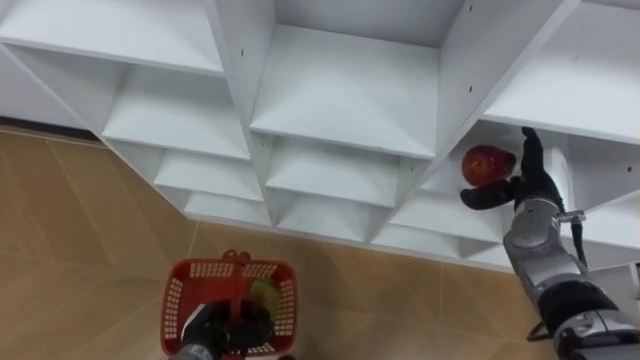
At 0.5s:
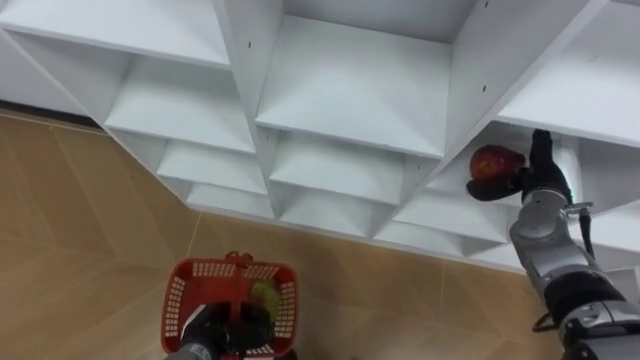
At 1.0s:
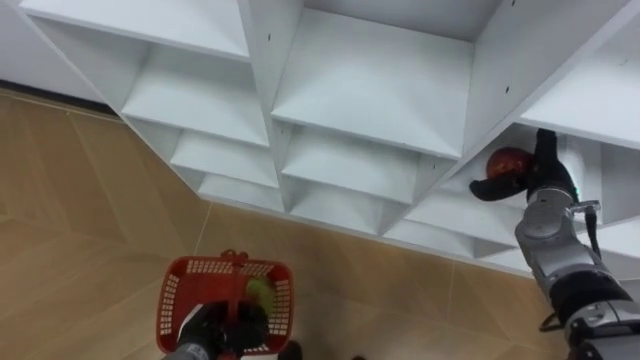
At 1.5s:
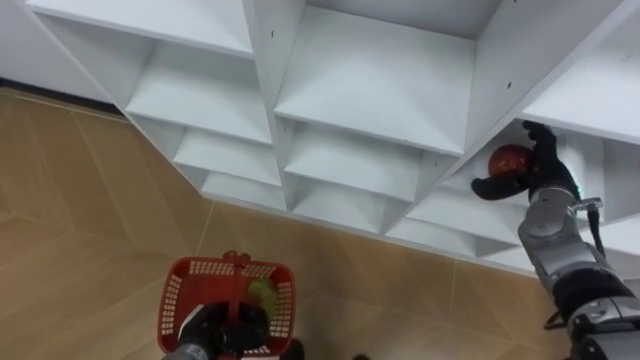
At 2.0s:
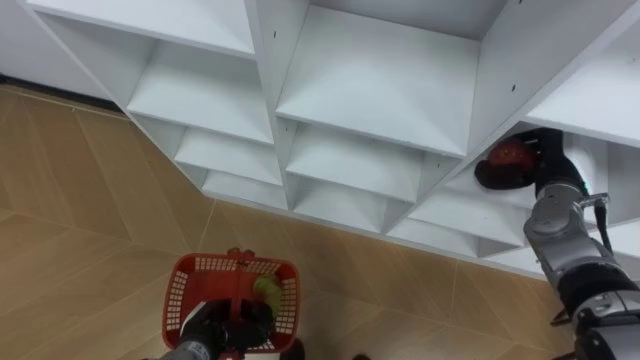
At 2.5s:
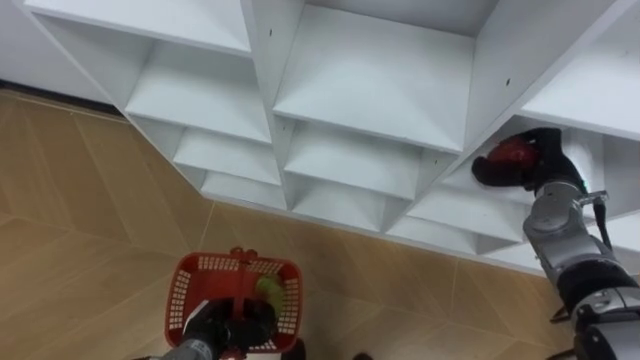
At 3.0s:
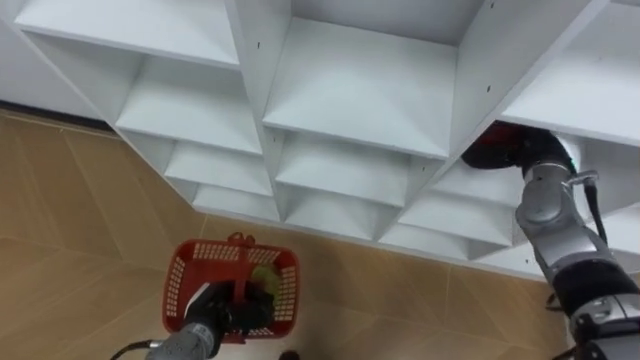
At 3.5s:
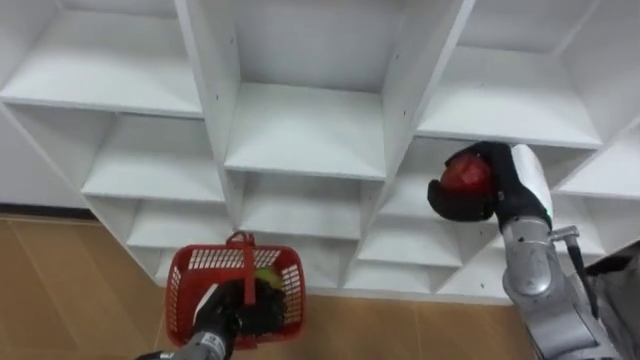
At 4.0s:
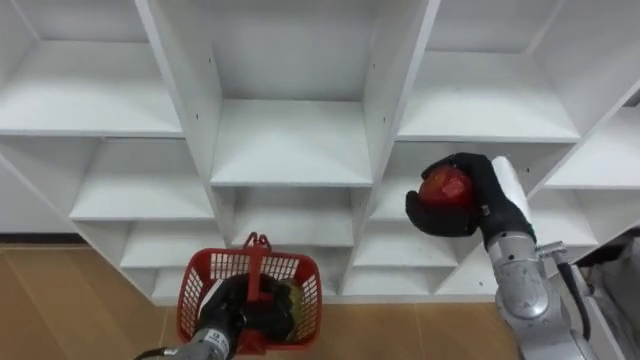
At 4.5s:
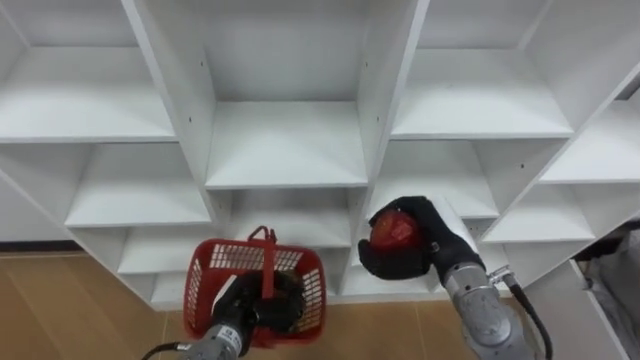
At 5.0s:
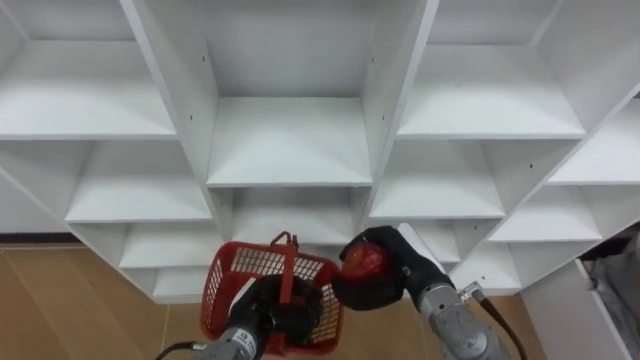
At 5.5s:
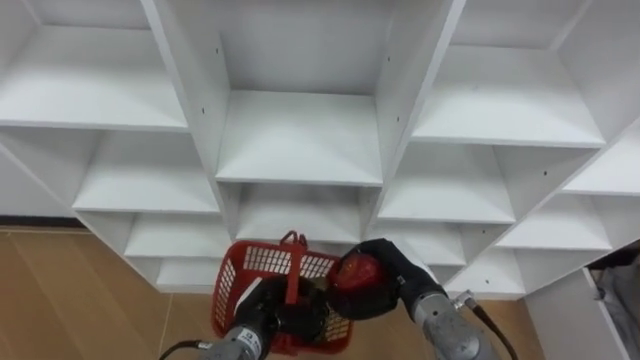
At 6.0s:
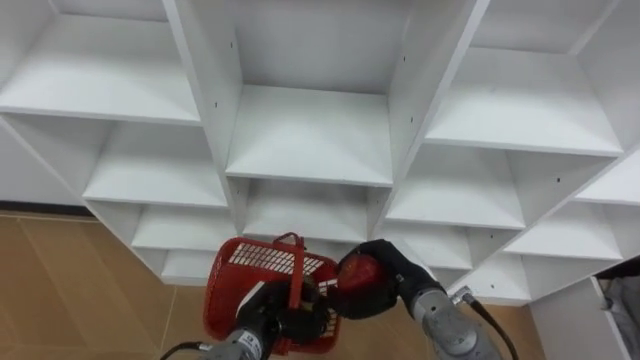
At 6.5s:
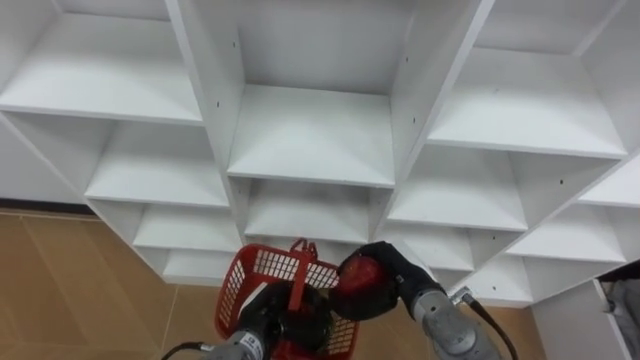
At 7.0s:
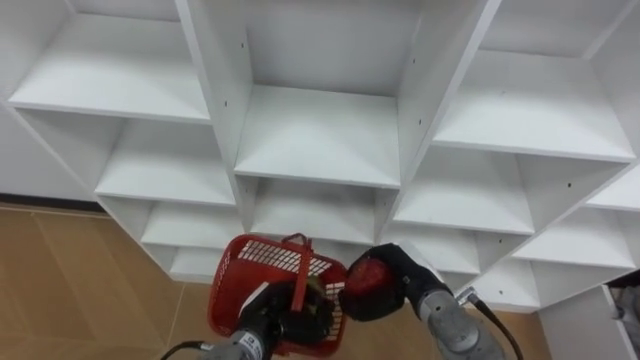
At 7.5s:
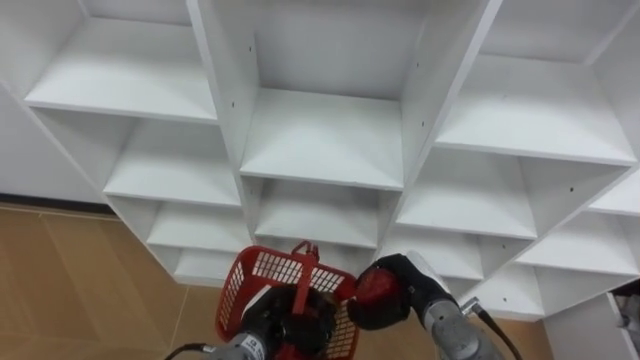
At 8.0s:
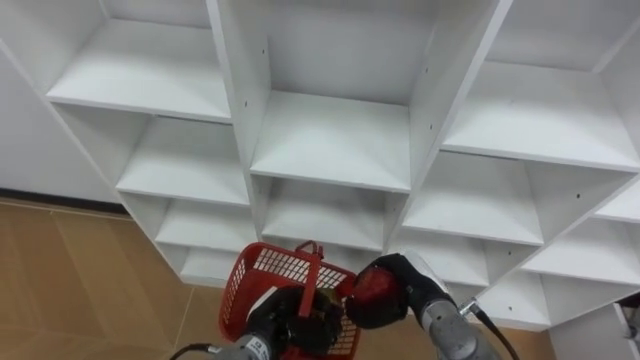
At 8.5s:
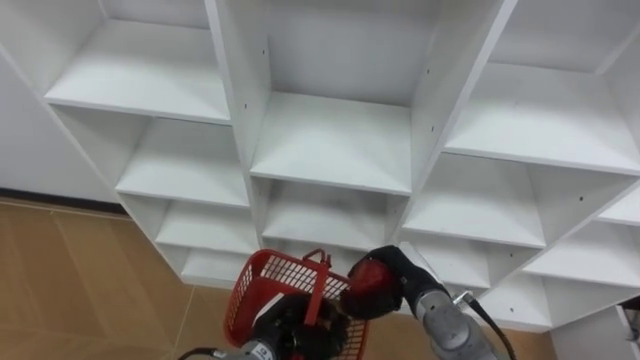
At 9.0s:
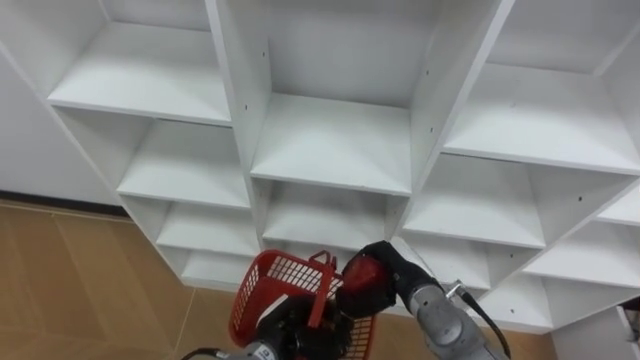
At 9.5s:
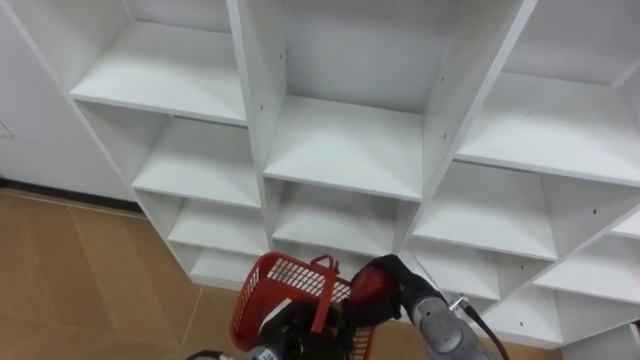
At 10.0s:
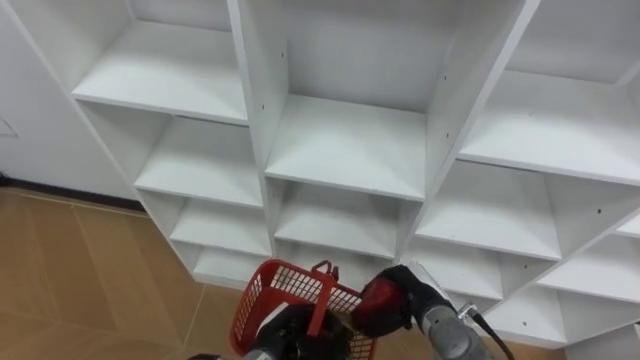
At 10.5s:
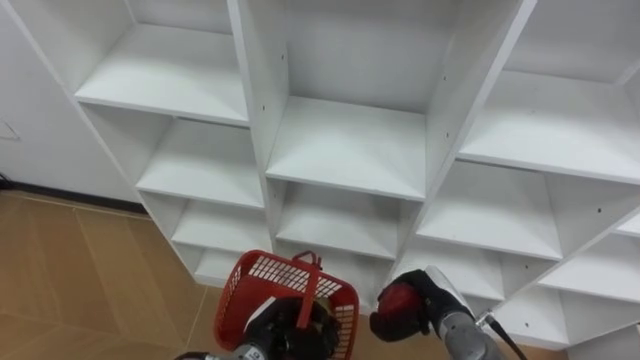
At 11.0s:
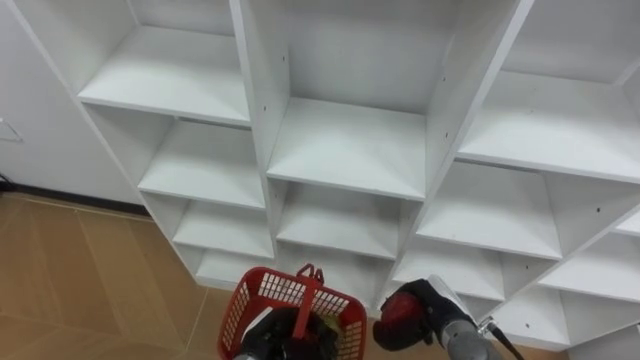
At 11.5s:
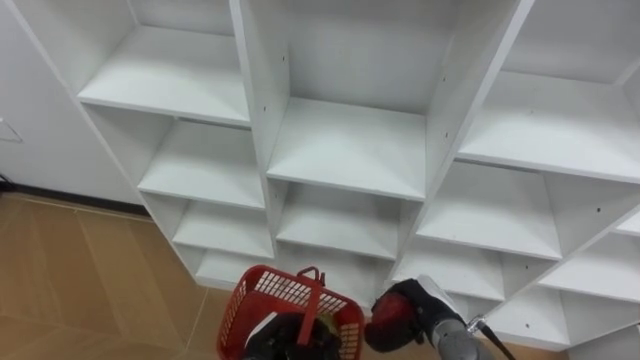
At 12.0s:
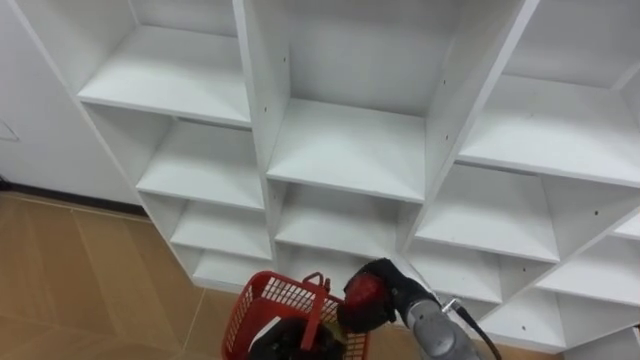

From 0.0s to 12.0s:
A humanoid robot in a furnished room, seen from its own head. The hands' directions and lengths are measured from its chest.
Task of the whole recording: Hold the basket and collect the fruits from 3 different cells of the closet into it.
From 0.0s to 2.0s: The right hand closes.
From 2.0s to 4.0s: The left hand moves some 5 cm; the right hand heads to the left and backward, covering some 10 cm.
From 4.0s to 6.0s: The right hand is displaced to the left, downward and backward by approximately 15 cm, while the left hand travels to the right by some 5 cm.
From 10.0s to 12.0s: The hands move only a little.

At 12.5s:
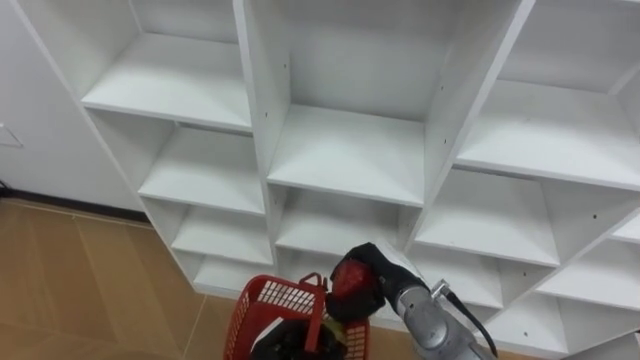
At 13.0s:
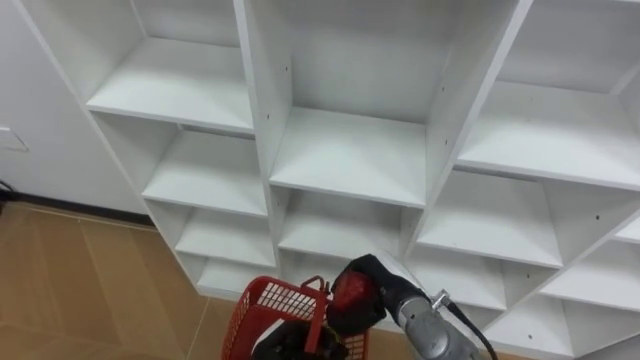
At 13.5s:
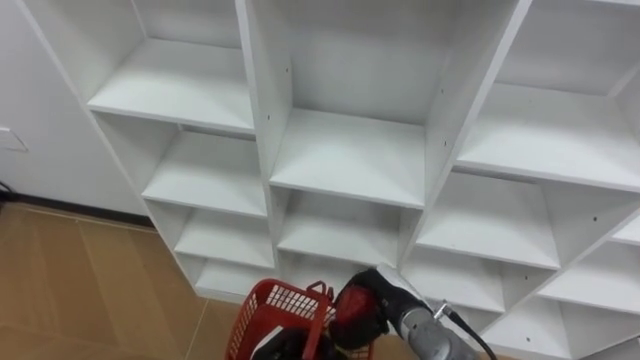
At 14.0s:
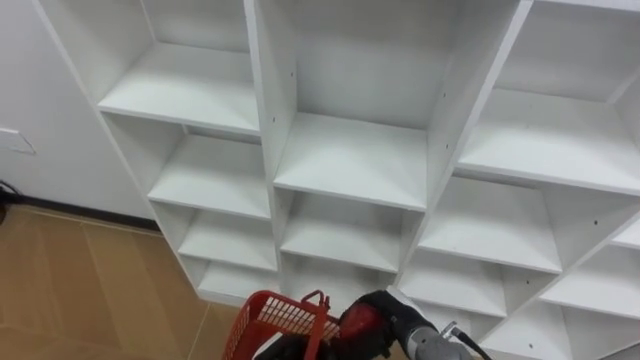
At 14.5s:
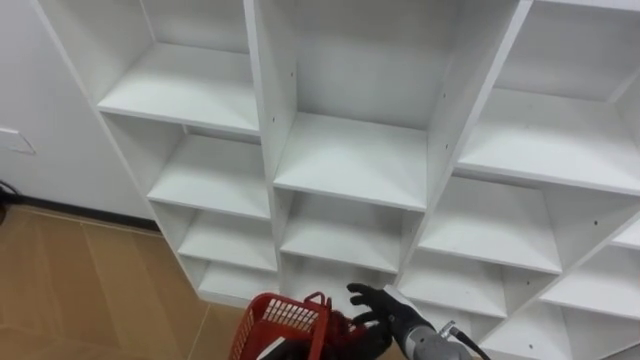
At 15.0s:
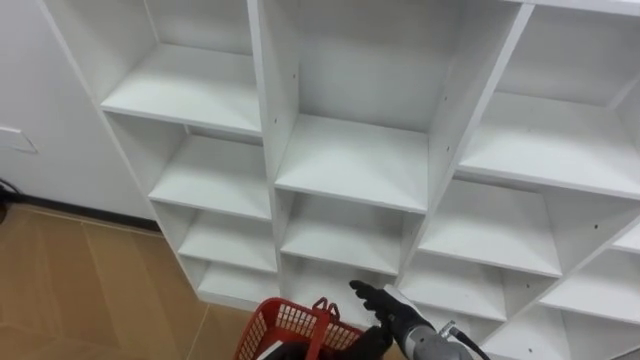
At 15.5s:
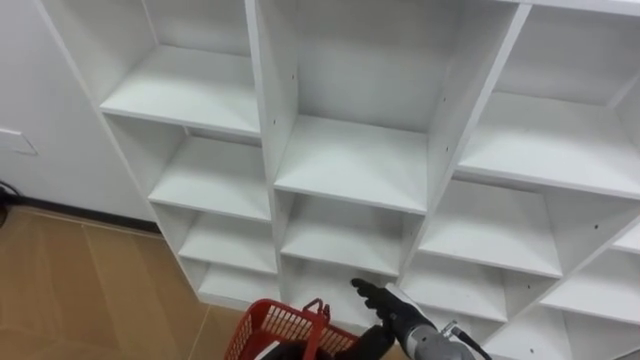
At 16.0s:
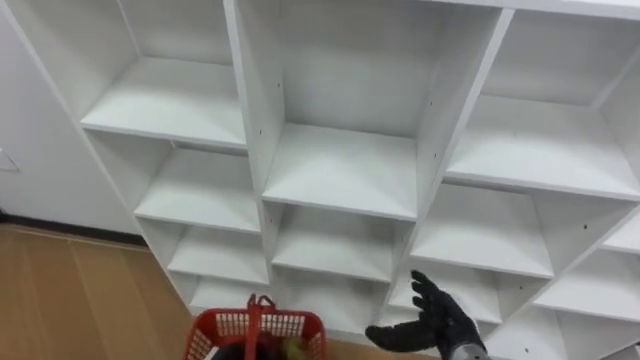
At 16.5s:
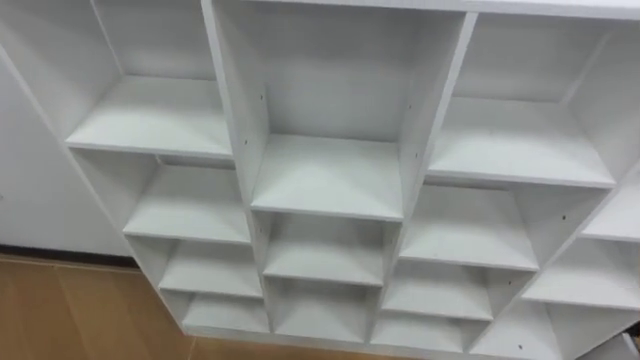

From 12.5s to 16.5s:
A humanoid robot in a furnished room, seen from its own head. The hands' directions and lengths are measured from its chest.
Task of the whole recording: Hold the basket and collect the fruits from 3 different cells of the closet into it.
From 12.5s to 14.5s: The right hand ends up approximately 5 cm from where it was, and opens its fingers.

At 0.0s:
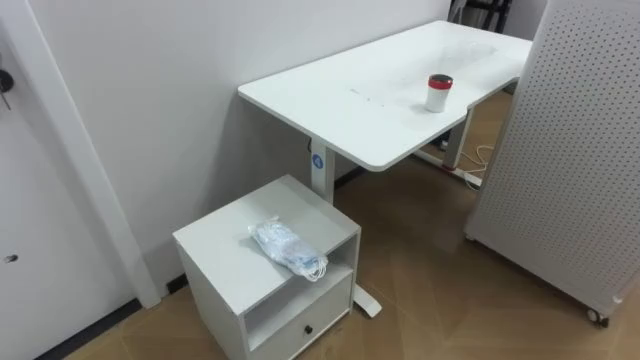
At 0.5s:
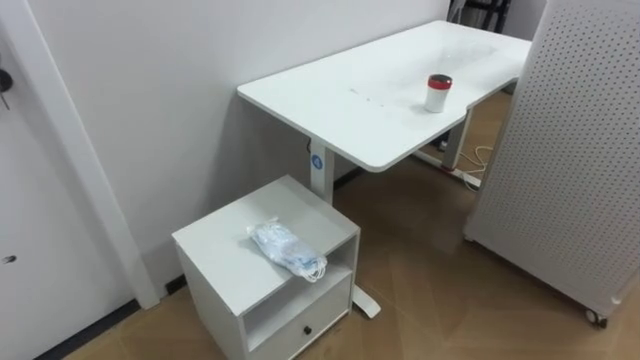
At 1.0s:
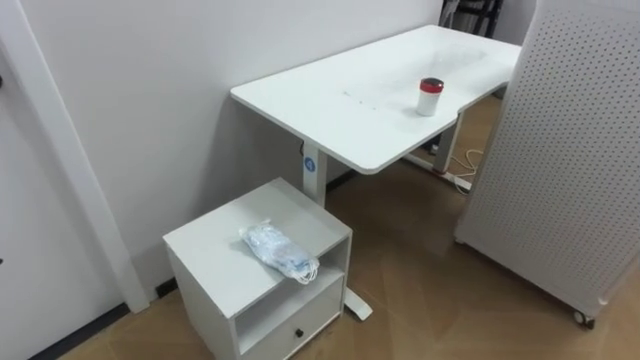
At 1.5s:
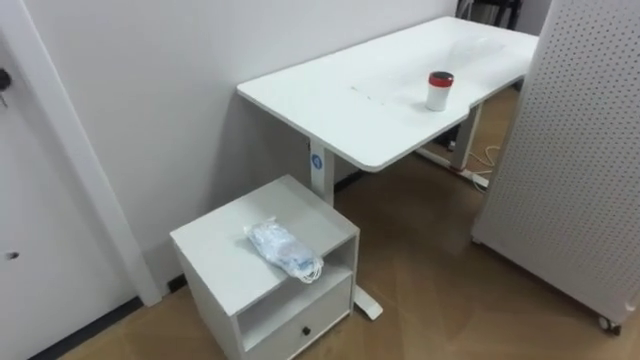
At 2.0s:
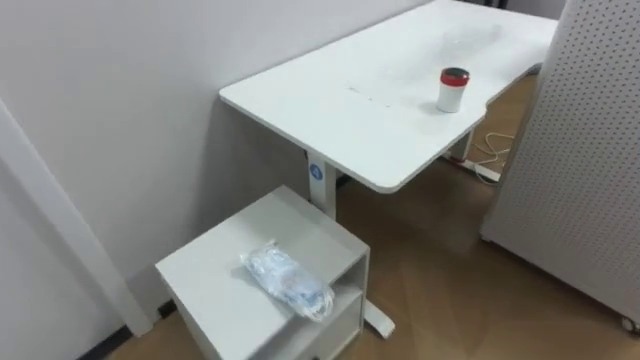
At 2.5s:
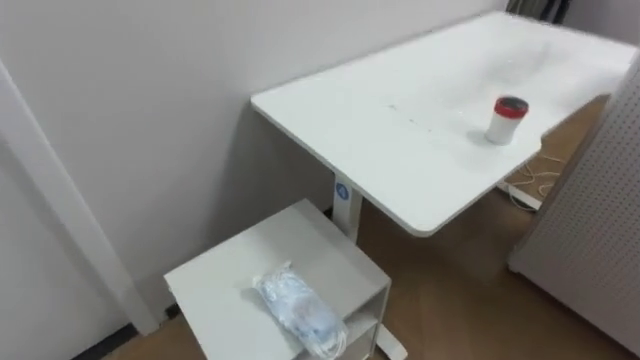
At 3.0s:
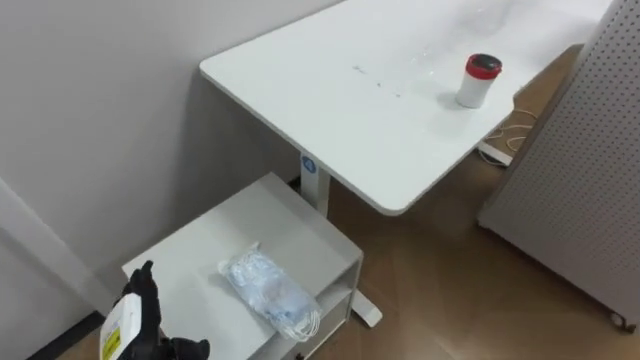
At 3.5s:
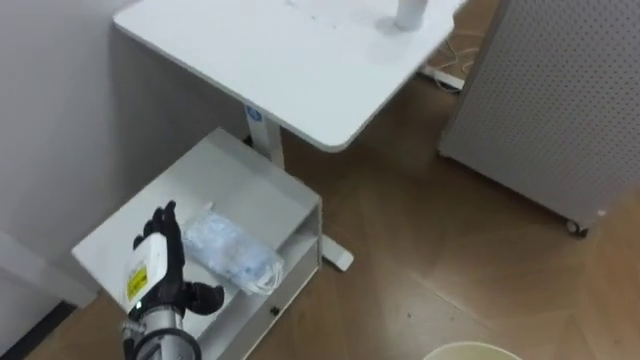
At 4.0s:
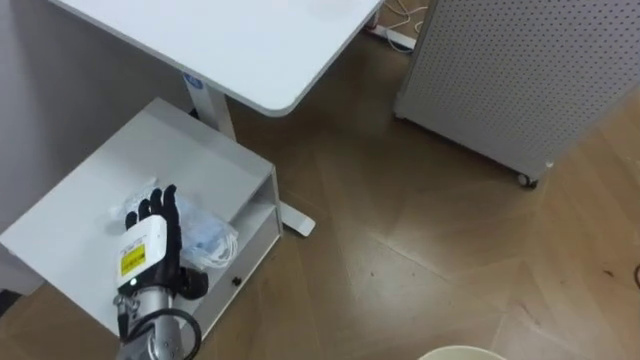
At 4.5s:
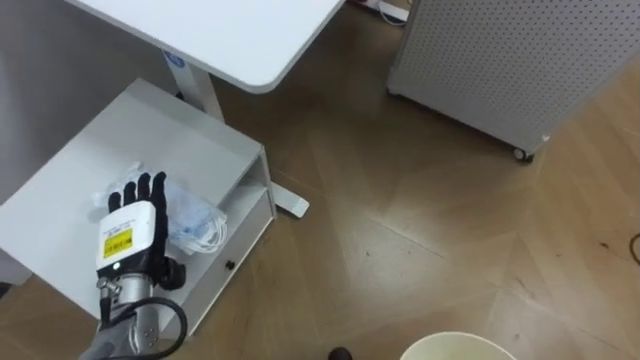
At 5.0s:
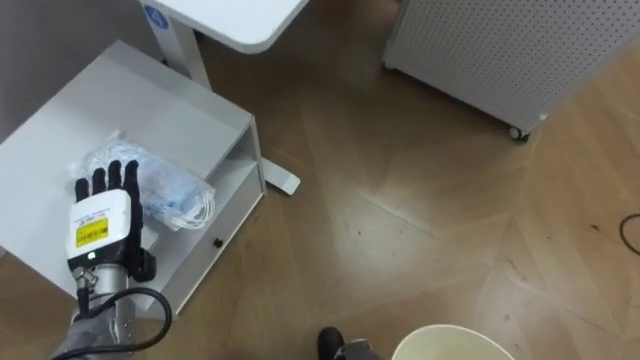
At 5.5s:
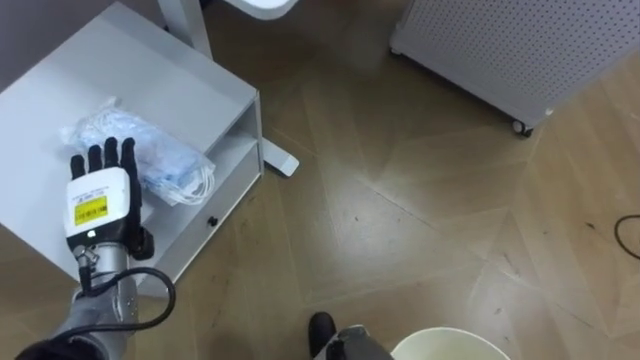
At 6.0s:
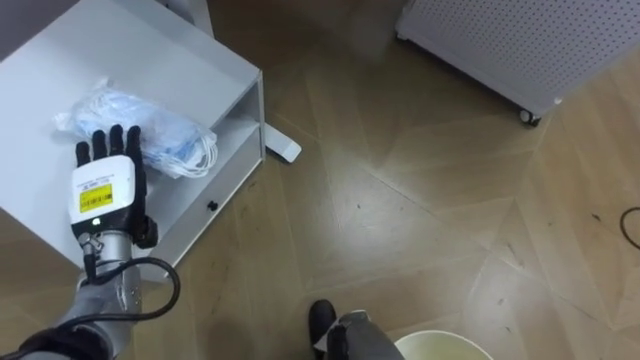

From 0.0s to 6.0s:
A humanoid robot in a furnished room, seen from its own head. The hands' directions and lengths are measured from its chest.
Task of the whole recording: Pick up the light blue package, the candy box, and the dark blue package separately, and put them into the trash can held in your right hand.
From 4.0s to 6.0s: The left hand travels upward by some 5 cm.
